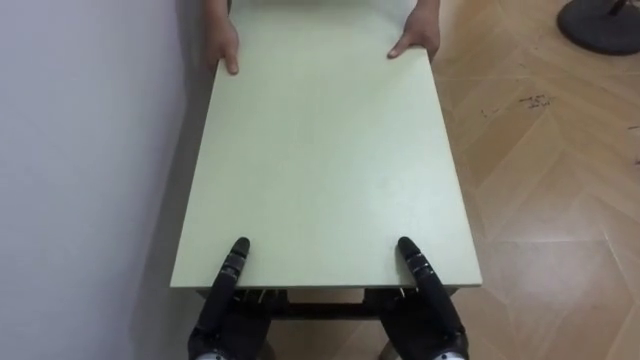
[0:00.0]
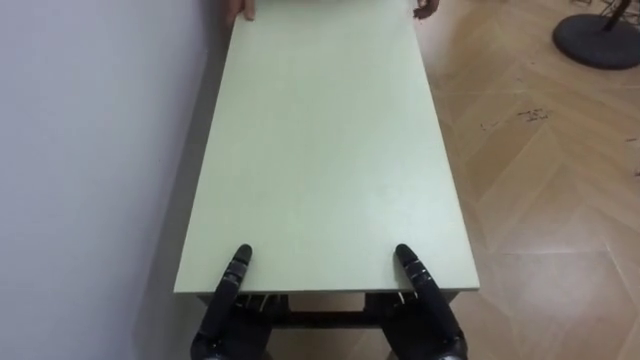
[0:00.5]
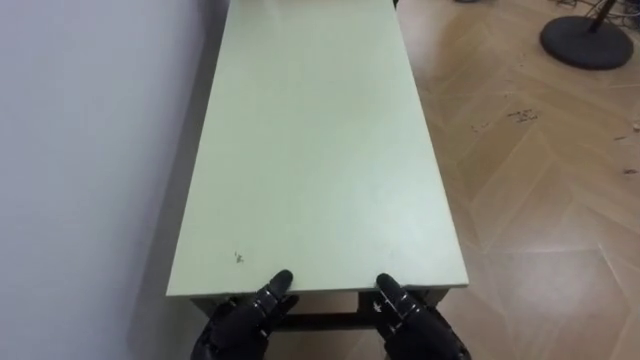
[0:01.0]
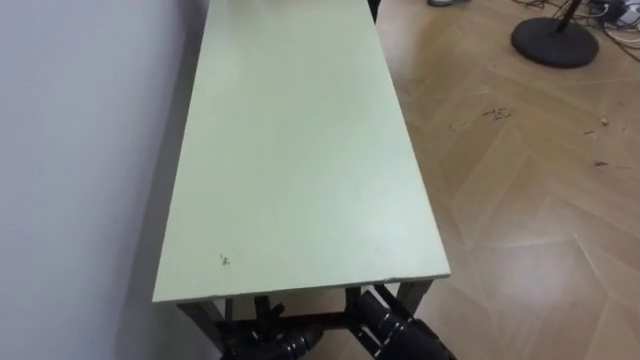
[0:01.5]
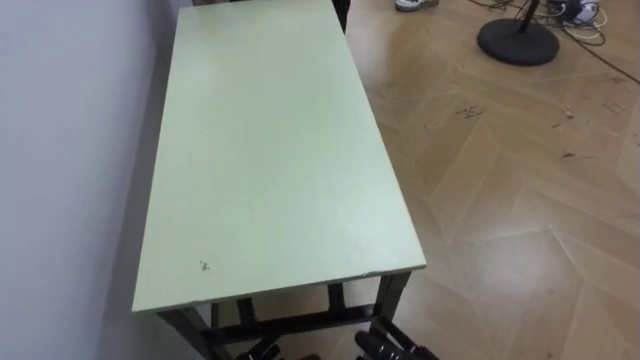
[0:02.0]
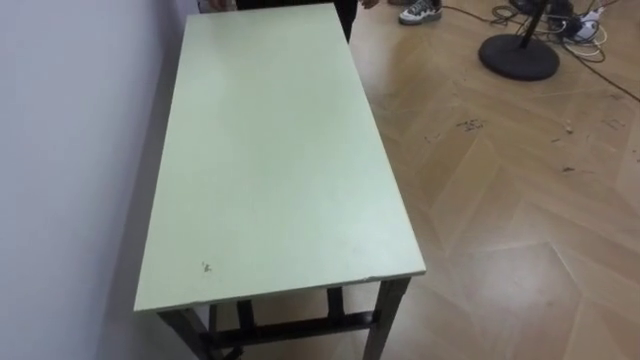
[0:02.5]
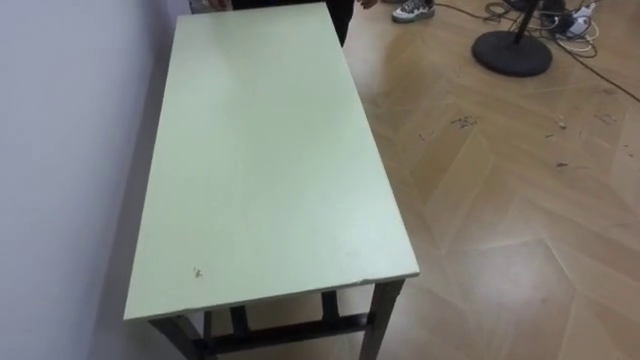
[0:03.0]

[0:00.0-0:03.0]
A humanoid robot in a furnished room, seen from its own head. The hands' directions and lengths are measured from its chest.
Task of the whole recording: Move the table to the back left with someone.
0:00.0 to 0:01.5: The right hand moves some 5 cm, and opens.

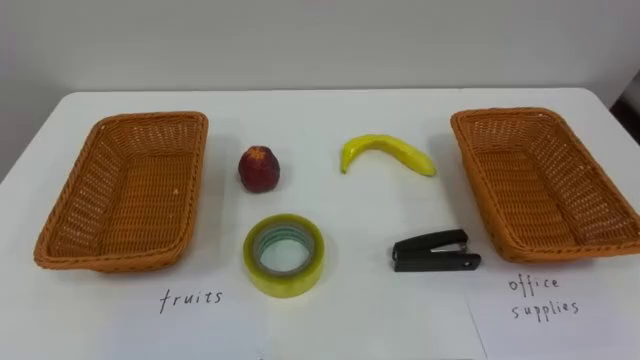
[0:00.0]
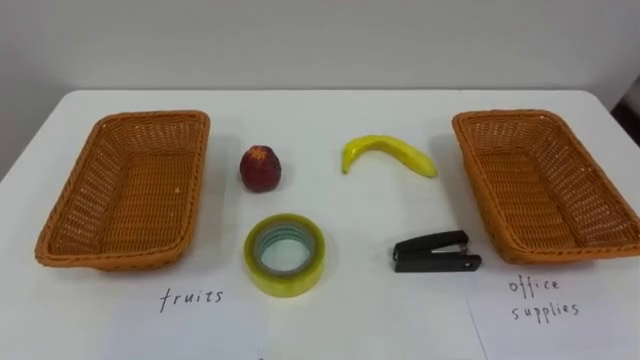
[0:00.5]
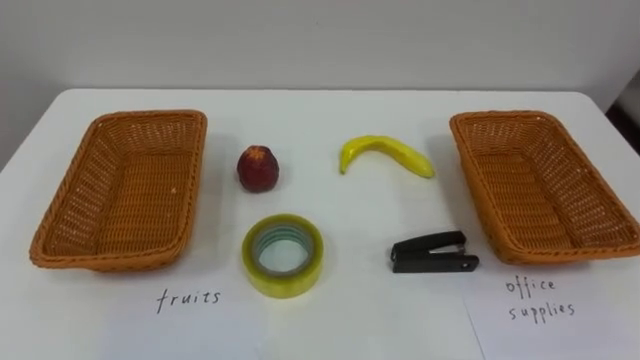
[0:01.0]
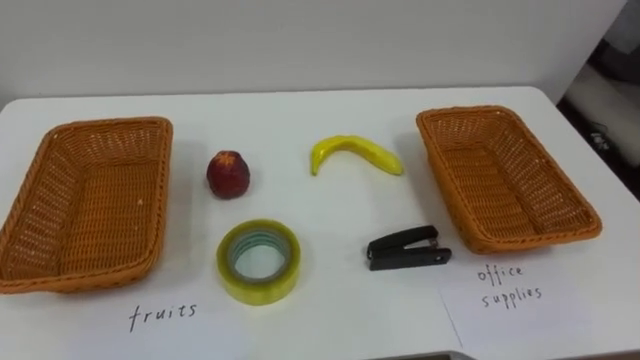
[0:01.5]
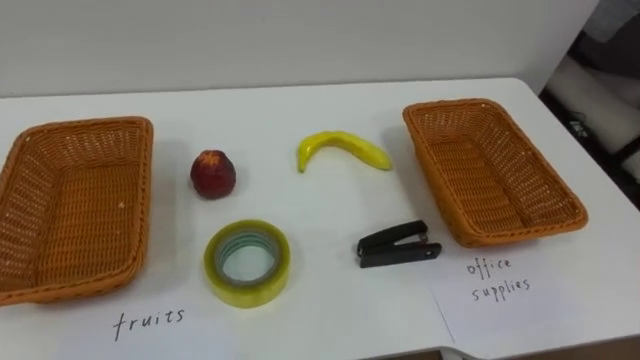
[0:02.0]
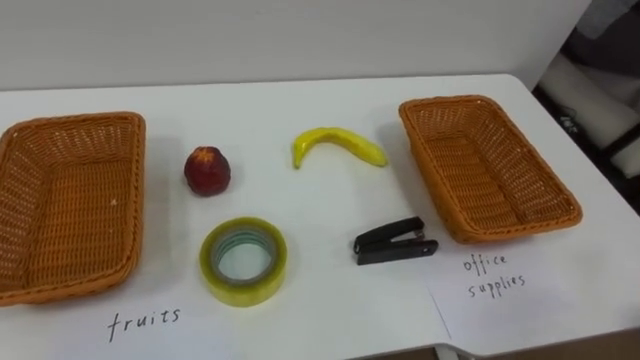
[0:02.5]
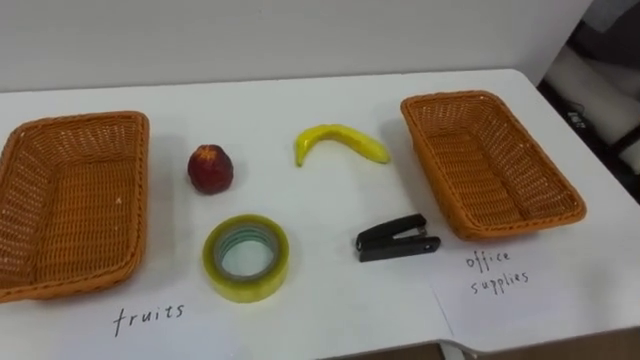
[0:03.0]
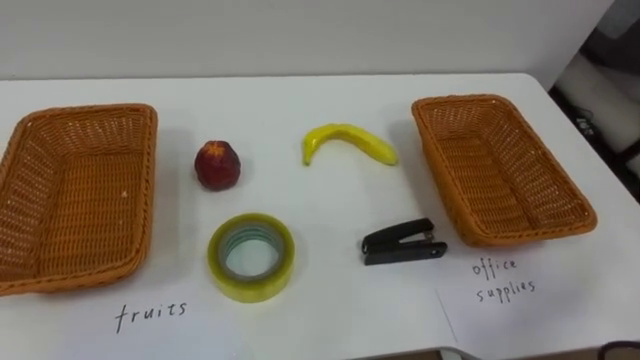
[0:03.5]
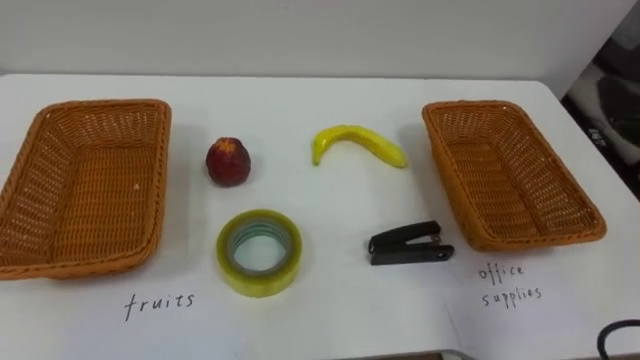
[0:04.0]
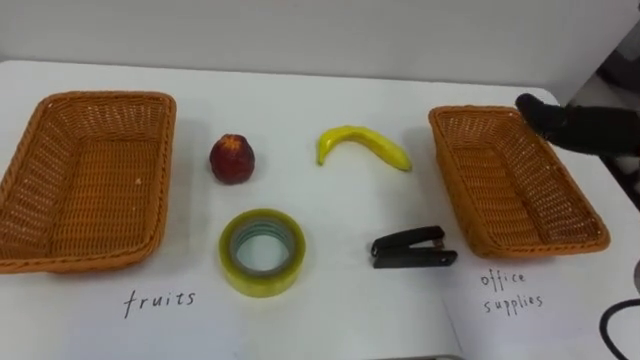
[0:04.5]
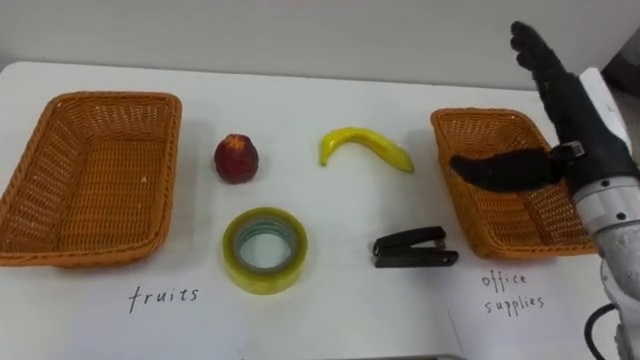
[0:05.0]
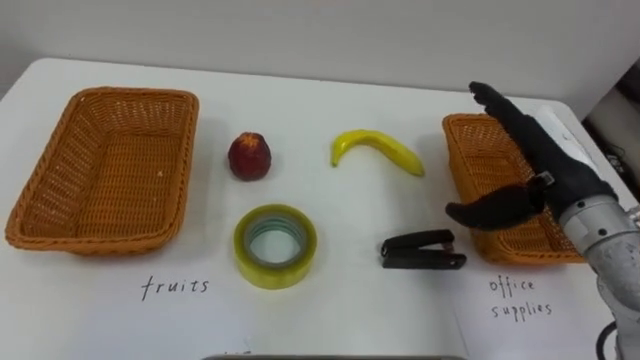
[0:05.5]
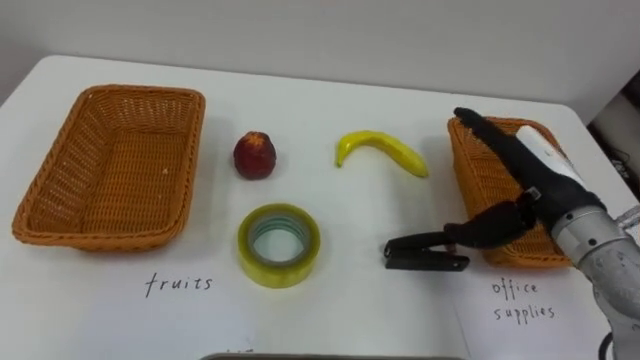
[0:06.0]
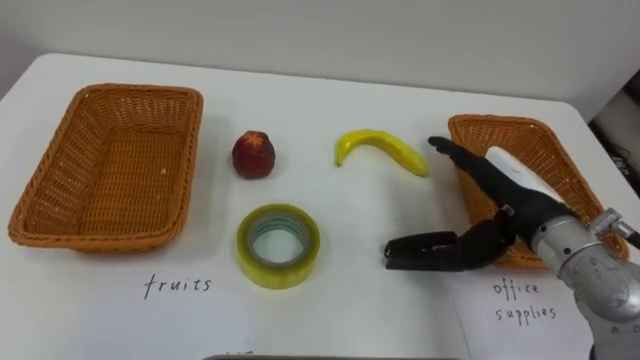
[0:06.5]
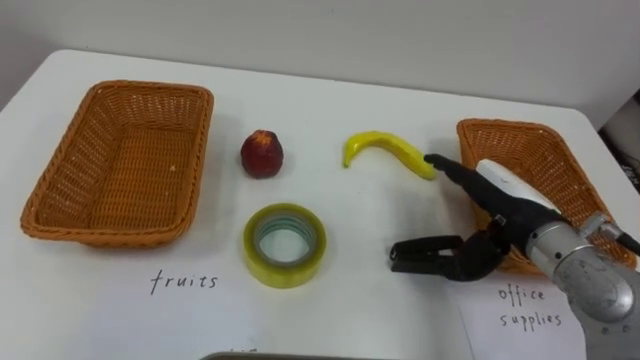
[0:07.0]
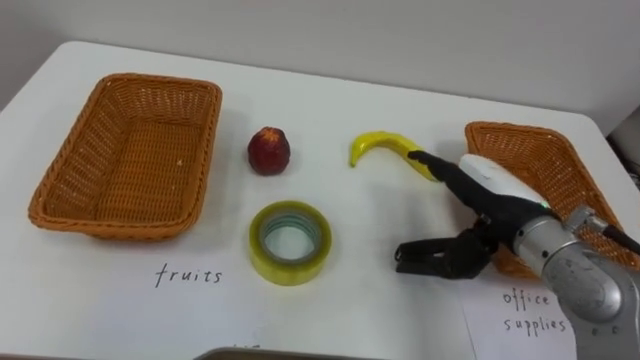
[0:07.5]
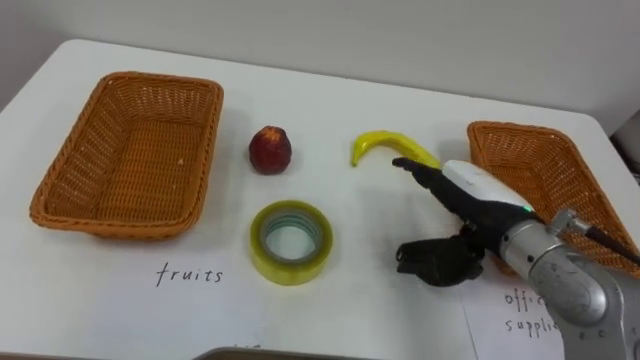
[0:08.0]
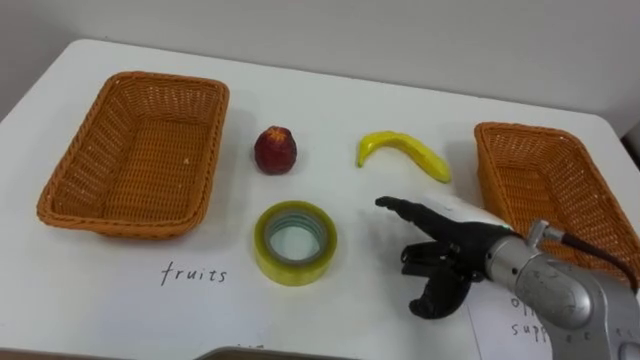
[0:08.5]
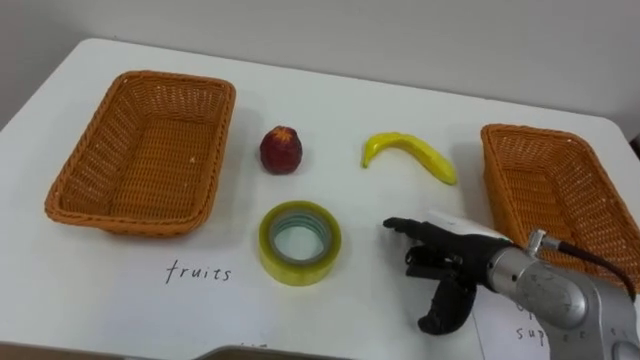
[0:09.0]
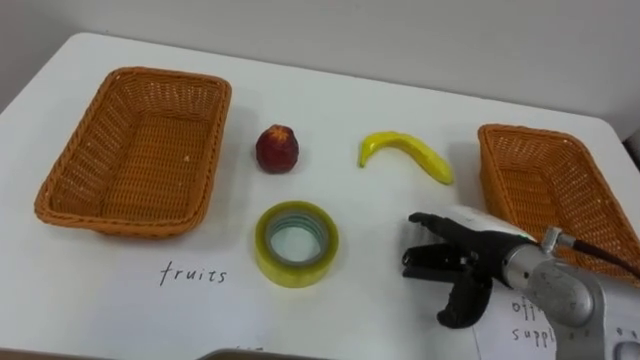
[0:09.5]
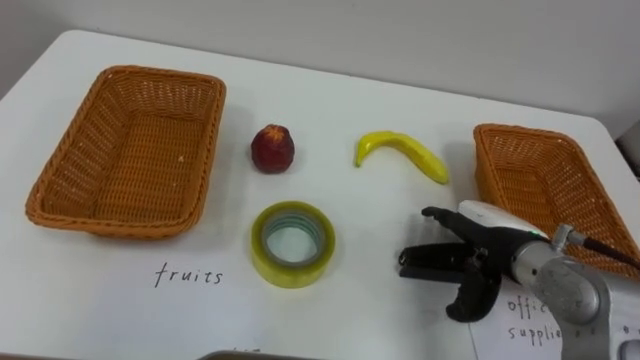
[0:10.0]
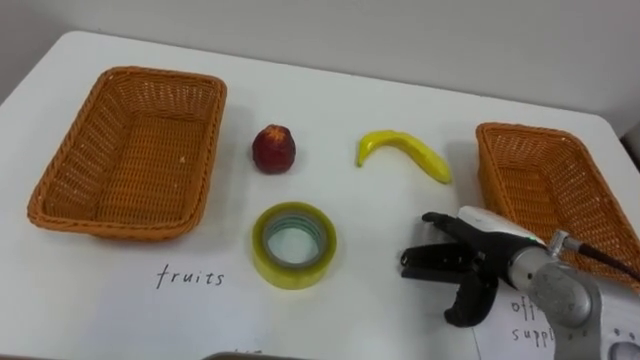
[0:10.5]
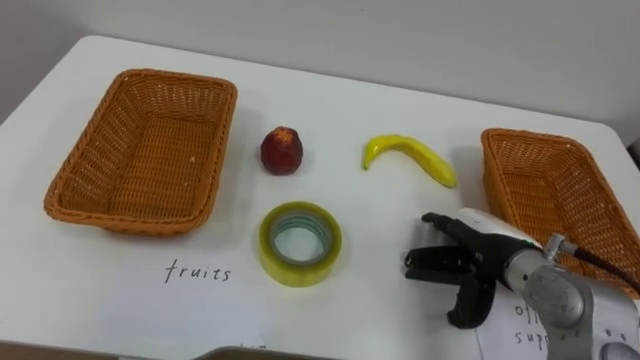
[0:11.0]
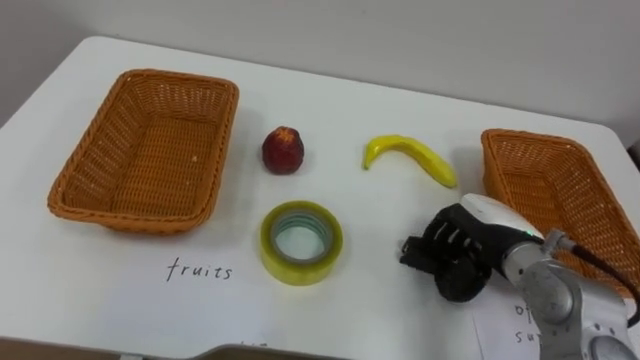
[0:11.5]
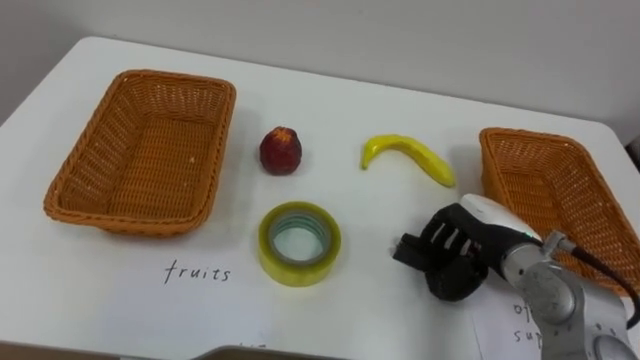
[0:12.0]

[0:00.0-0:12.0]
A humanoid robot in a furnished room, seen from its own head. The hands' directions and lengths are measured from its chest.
Task of the whole recording: Separate the items on the table and place them into the two baskets.
0:06.0 to 0:08.0: The right hand moves to the left, some 5 cm.
0:08.0 to 0:10.0: The right hand shifts by approximately 5 cm.
0:10.0 to 0:12.0: The right hand closes.

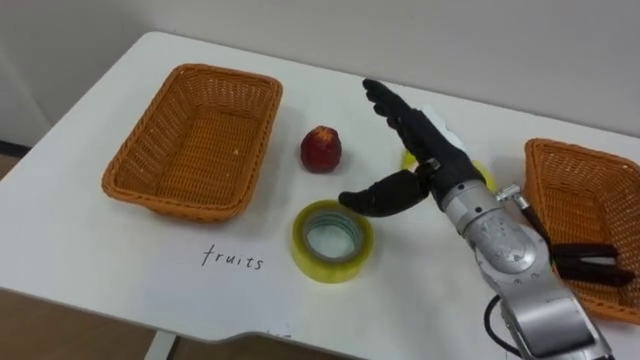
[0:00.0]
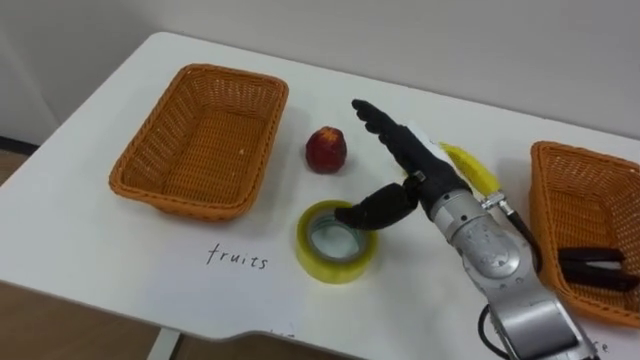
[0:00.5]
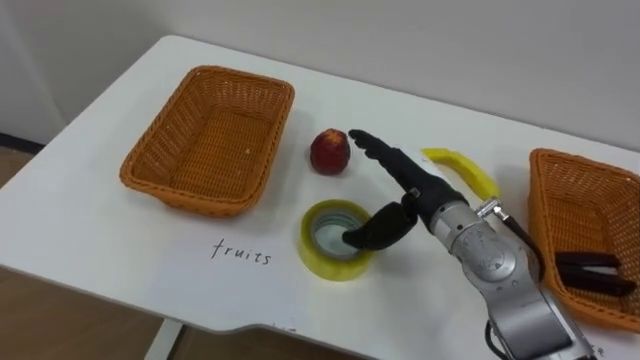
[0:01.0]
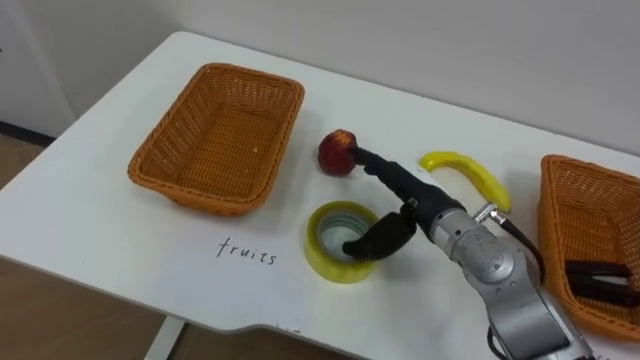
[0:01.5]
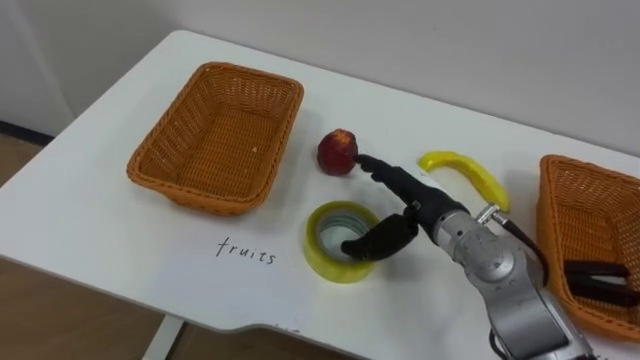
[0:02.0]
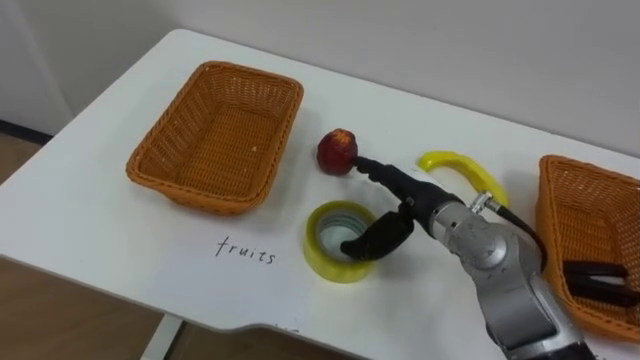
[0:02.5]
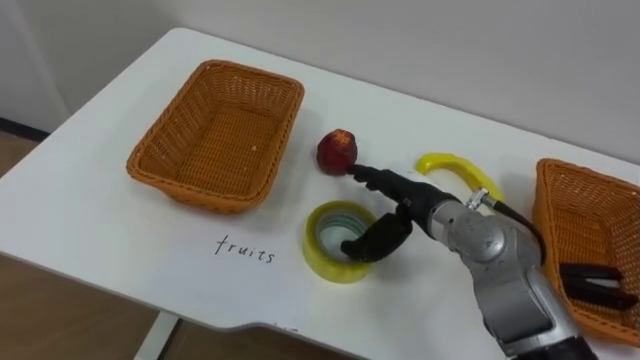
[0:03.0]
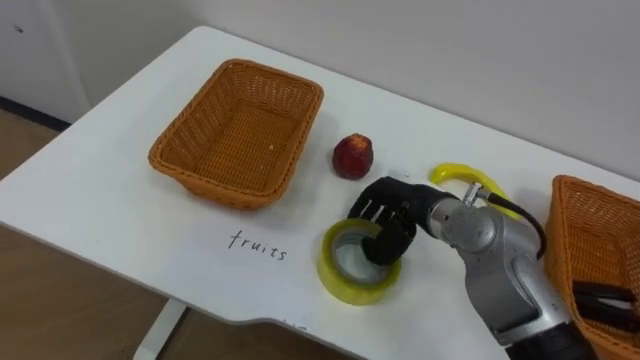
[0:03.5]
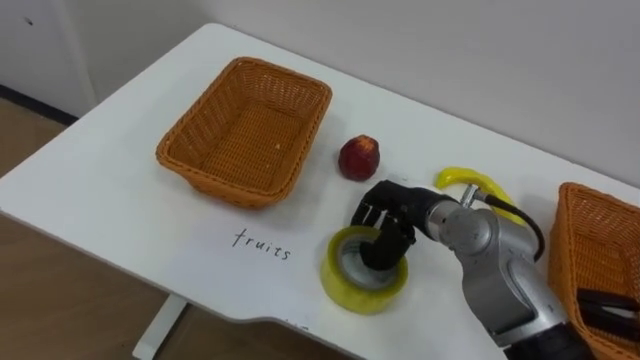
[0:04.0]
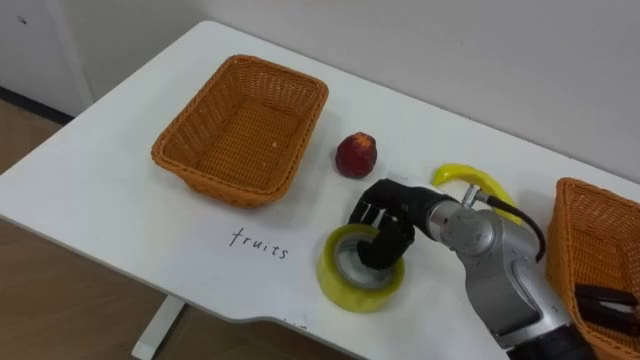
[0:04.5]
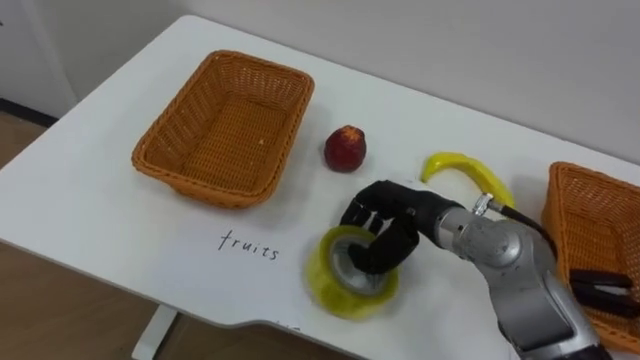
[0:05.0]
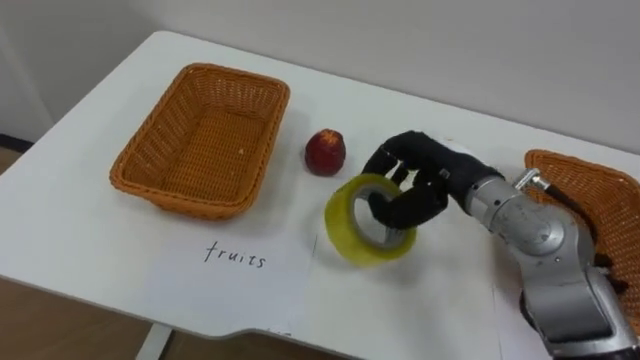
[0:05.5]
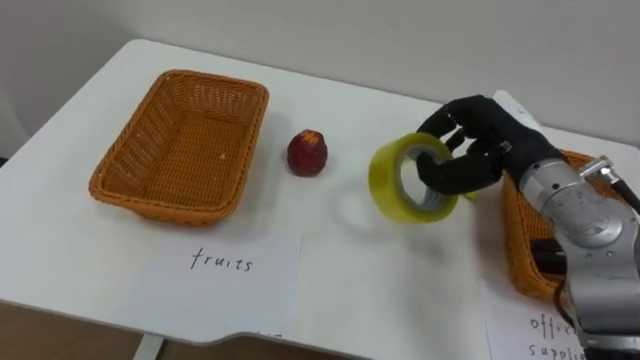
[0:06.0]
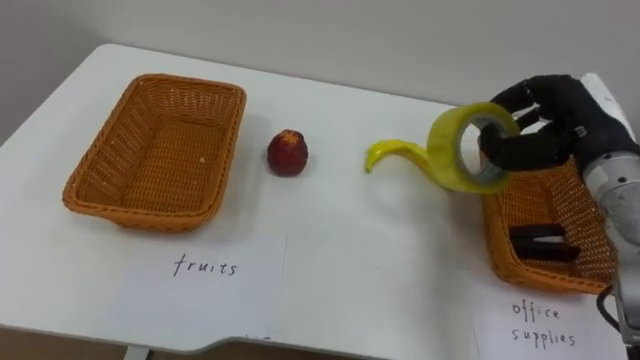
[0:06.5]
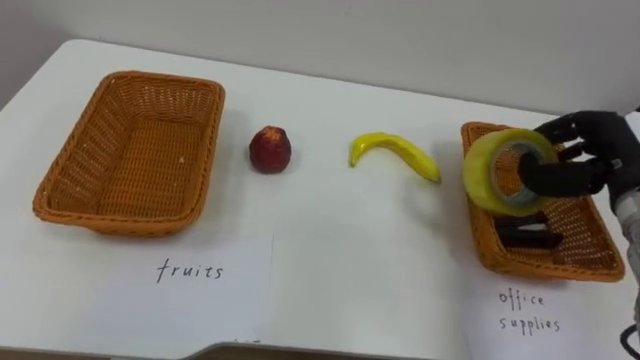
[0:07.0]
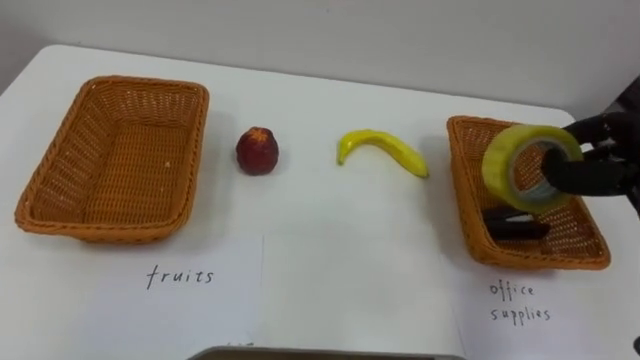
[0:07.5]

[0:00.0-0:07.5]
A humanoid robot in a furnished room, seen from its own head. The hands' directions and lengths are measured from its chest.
Task of the whole recording: Separate the items on the table and place them into the two baskets.
0:00.0 to 0:02.0: The right hand goes about 5 cm downward.
0:02.0 to 0:04.0: The right hand closes up.
0:04.0 to 0:05.5: The right hand moves upward, about 5 cm.
